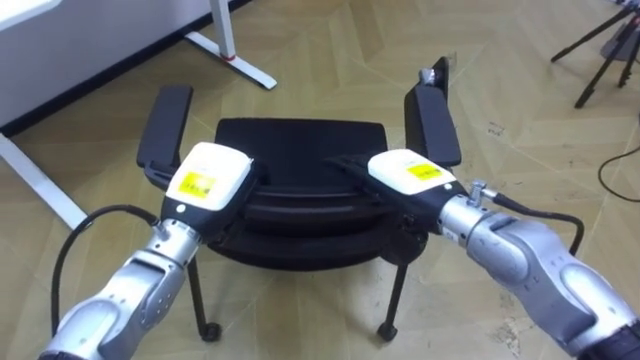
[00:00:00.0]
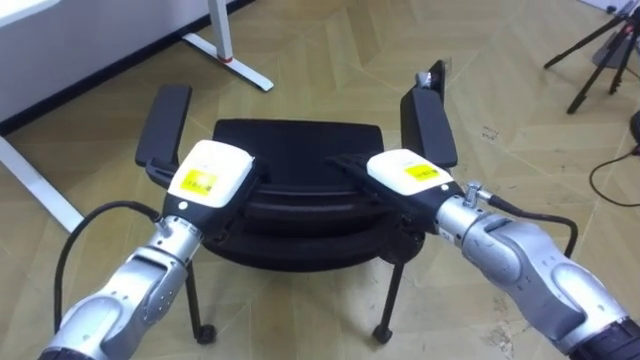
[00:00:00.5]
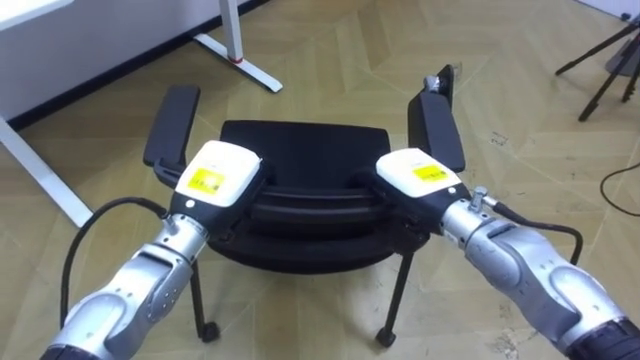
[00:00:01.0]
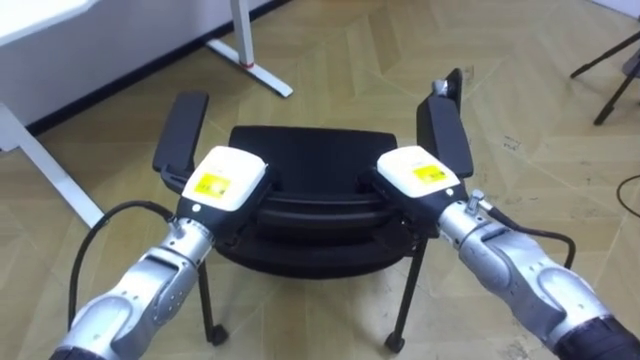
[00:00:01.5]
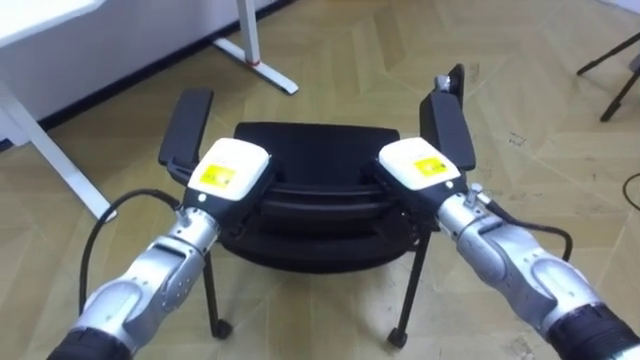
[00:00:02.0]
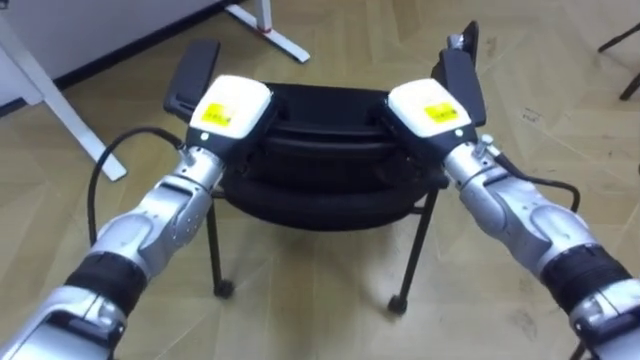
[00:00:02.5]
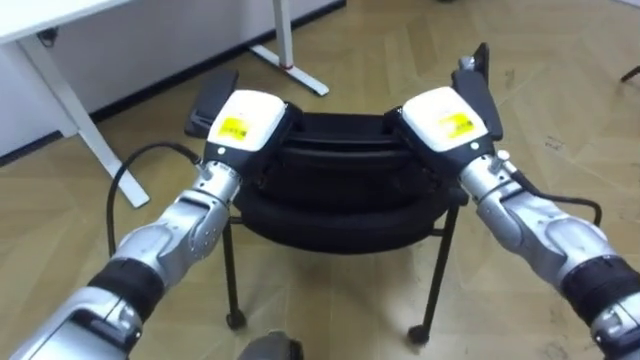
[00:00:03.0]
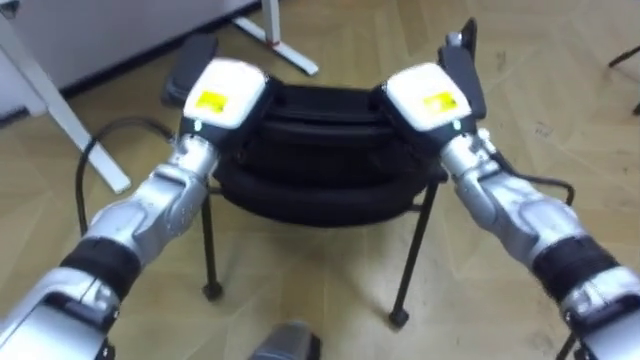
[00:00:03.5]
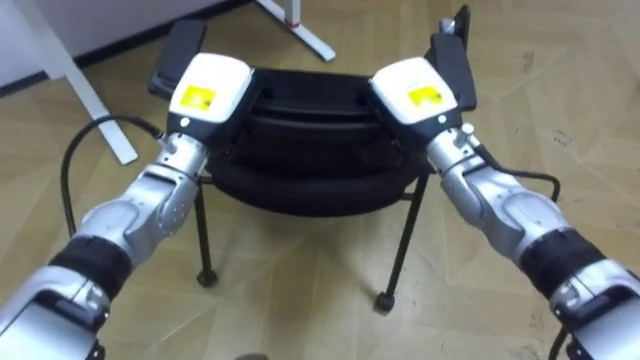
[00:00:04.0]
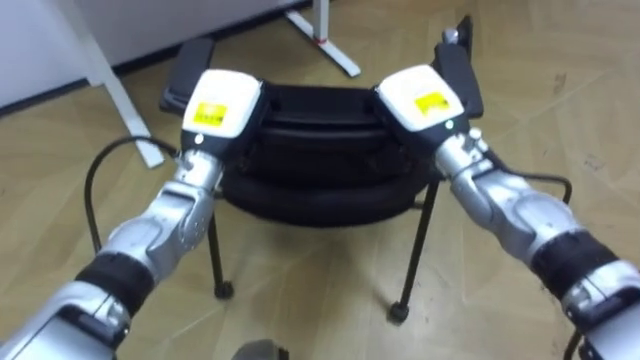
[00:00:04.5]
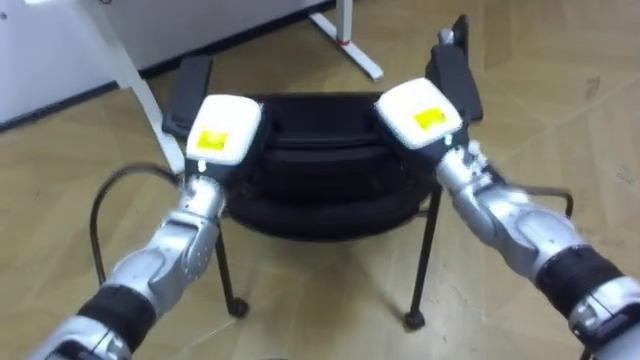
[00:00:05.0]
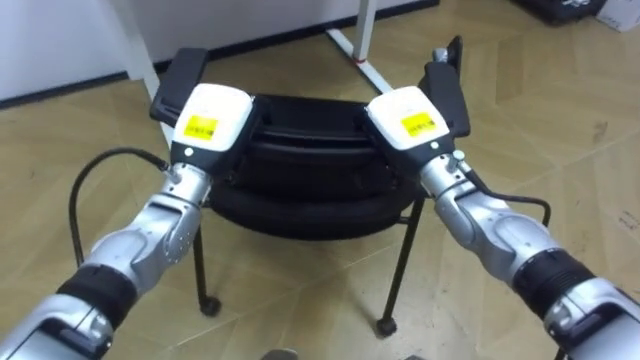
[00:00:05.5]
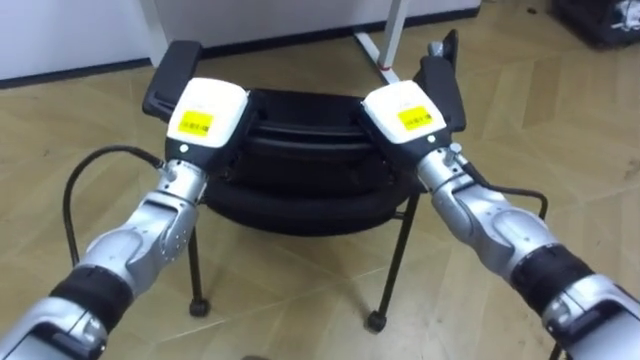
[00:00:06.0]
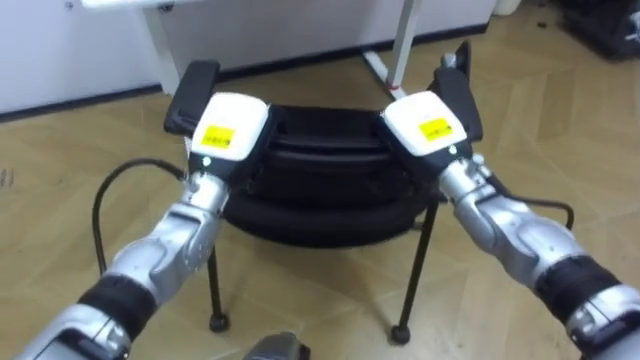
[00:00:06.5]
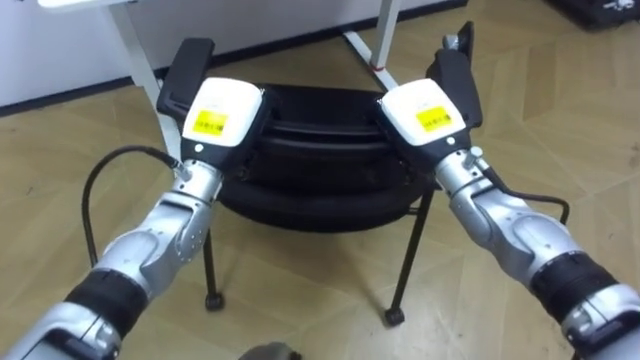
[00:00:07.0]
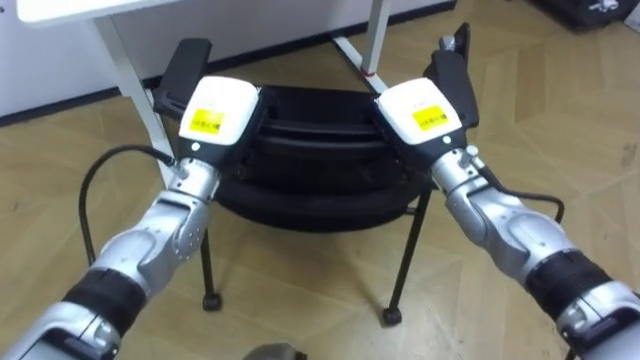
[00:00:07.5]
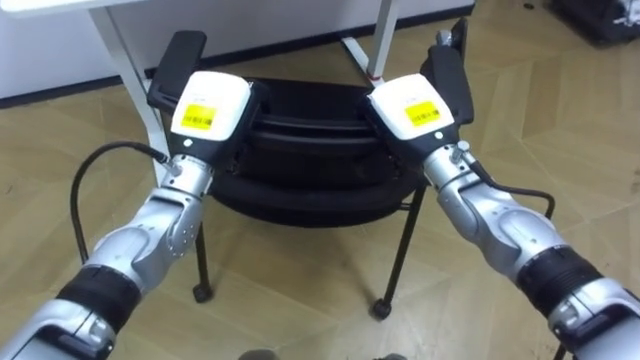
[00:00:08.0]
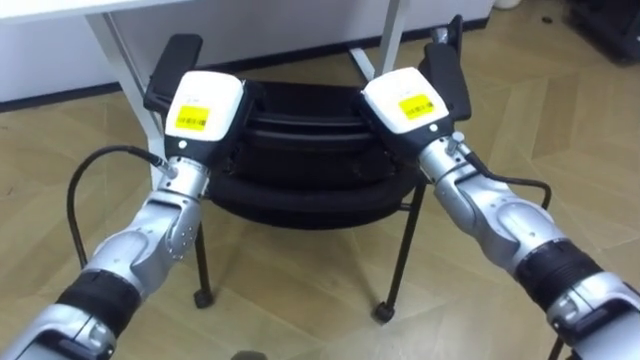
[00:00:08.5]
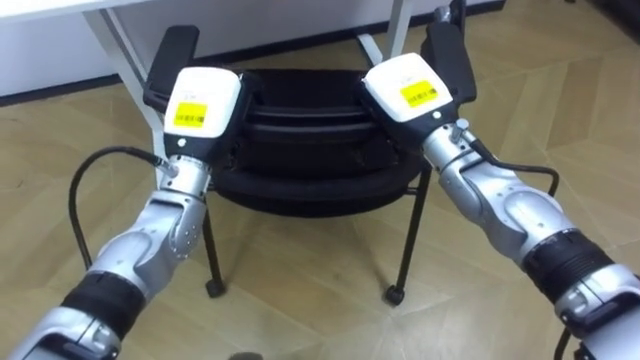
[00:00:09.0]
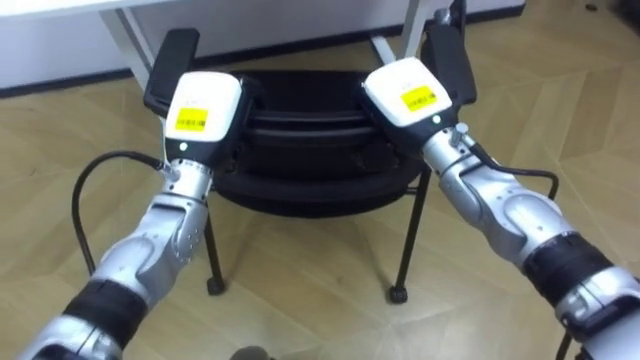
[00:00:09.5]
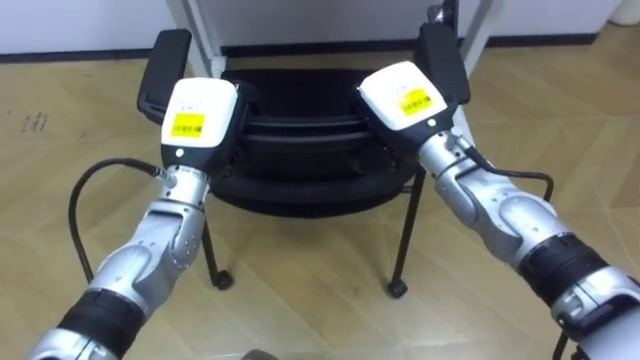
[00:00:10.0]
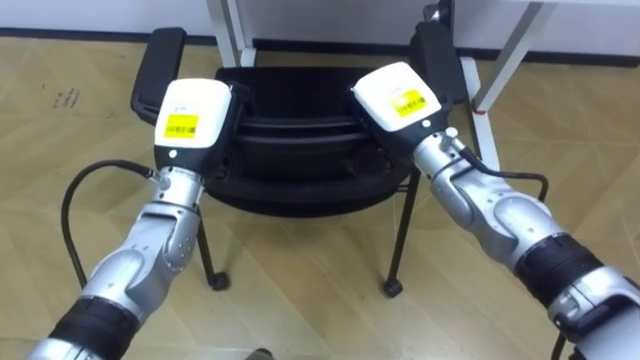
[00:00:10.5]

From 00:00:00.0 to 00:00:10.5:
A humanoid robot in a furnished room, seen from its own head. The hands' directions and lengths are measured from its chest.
Task of the whole recording: Push the chair under the table.
From 00:00:00.0 to 00:00:02.0: The right hand closes up.
From 00:00:02.0 to 00:00:04.0: The hands both shift upward and forward by some 10 cm.
From 00:00:04.0 to 00:00:06.5: The robot rotates approximately 20 degrees to its left.

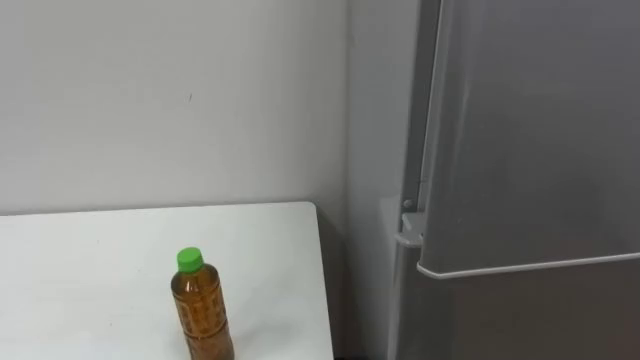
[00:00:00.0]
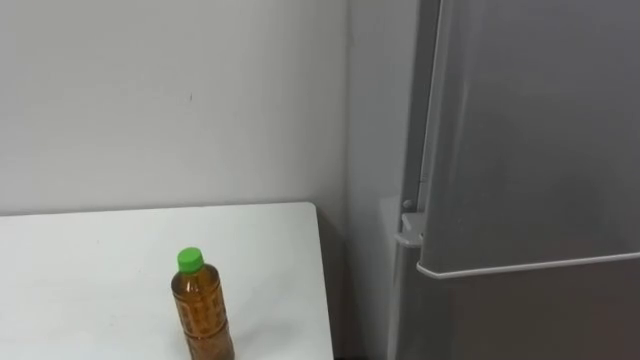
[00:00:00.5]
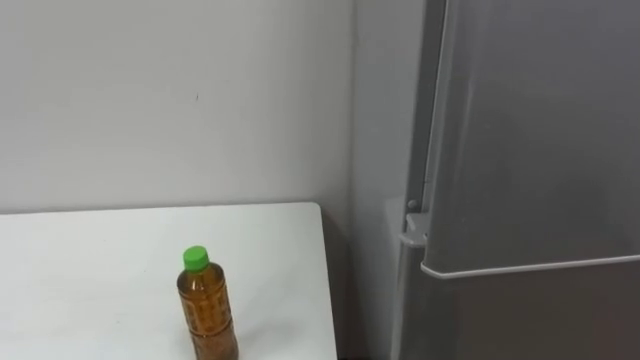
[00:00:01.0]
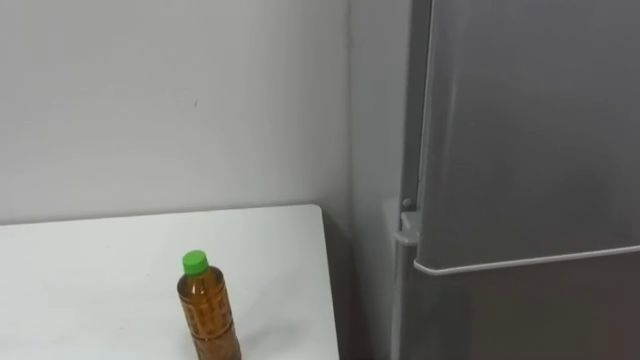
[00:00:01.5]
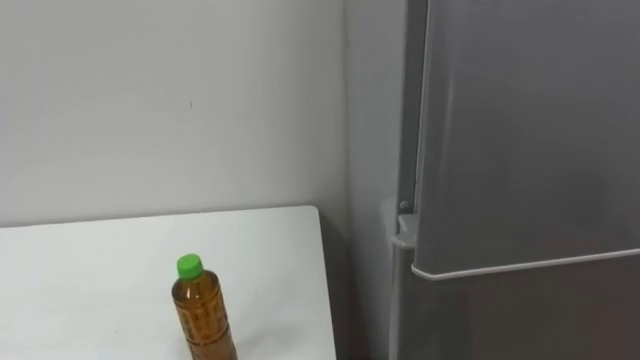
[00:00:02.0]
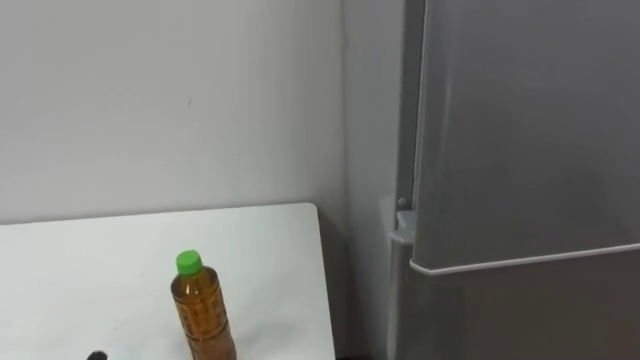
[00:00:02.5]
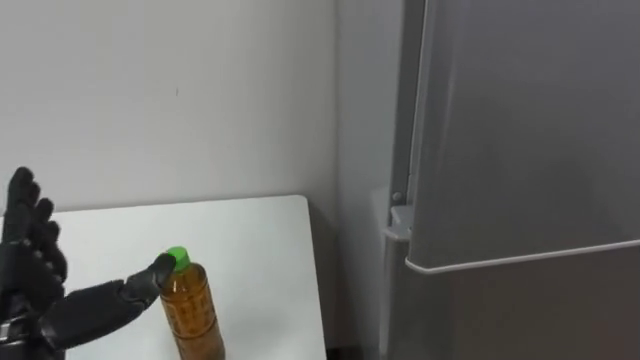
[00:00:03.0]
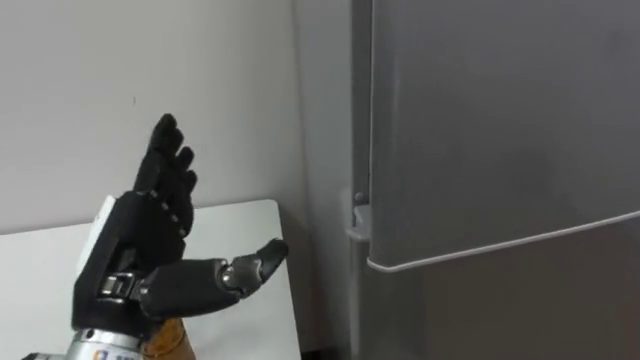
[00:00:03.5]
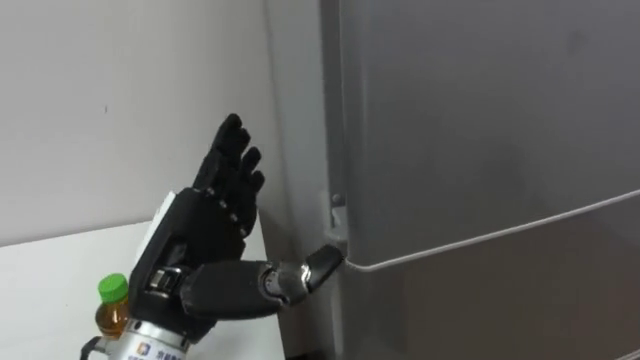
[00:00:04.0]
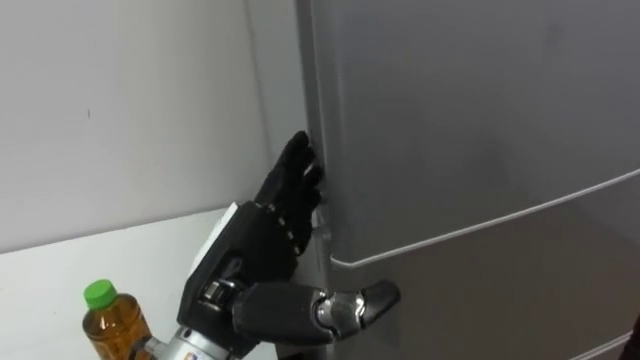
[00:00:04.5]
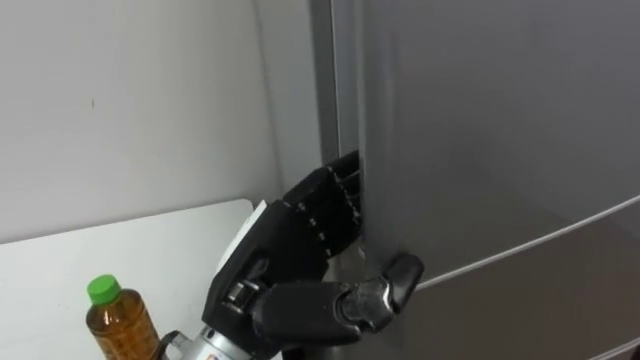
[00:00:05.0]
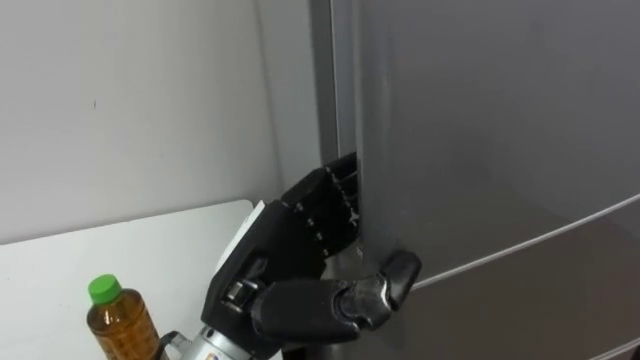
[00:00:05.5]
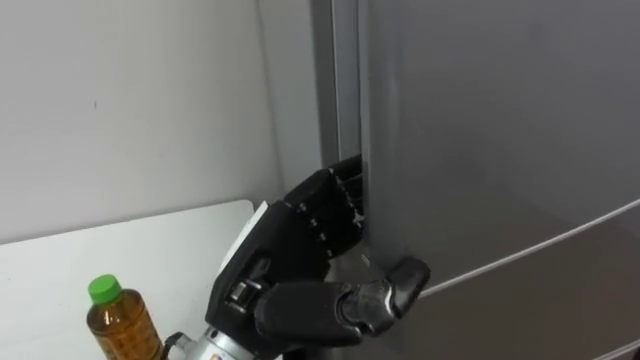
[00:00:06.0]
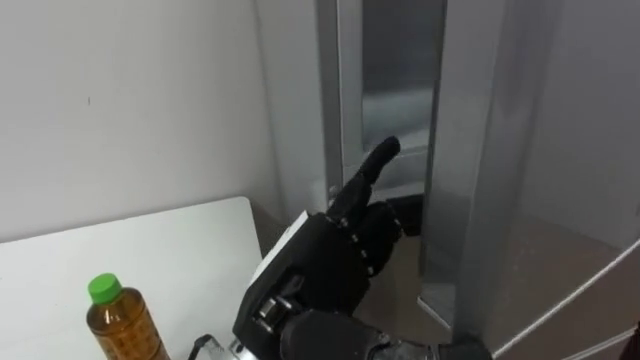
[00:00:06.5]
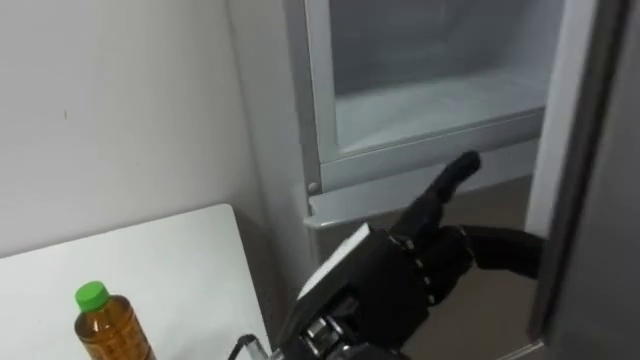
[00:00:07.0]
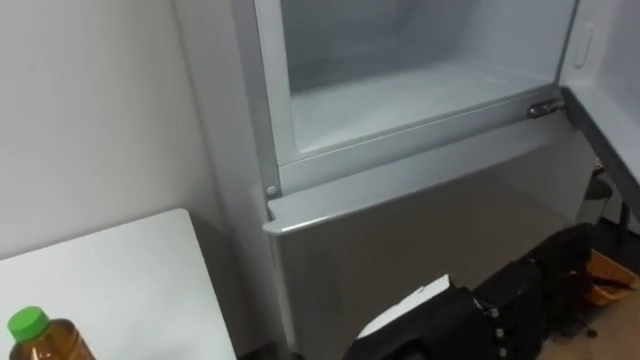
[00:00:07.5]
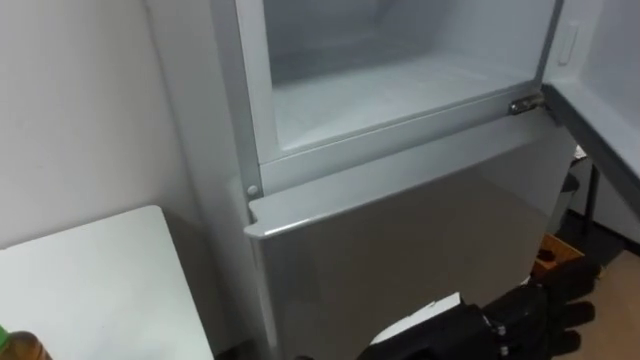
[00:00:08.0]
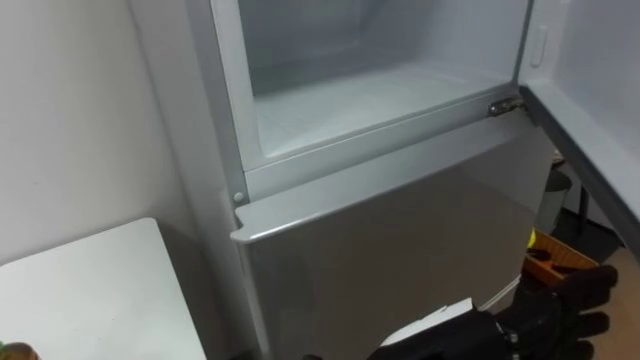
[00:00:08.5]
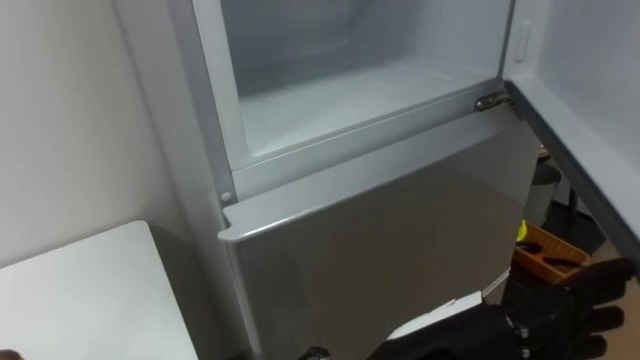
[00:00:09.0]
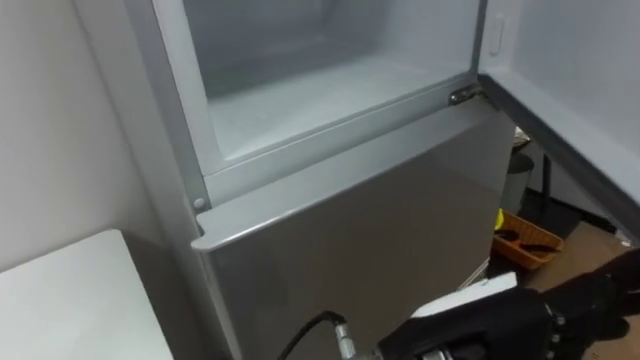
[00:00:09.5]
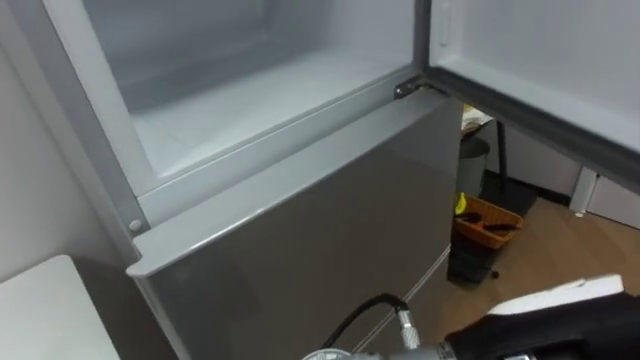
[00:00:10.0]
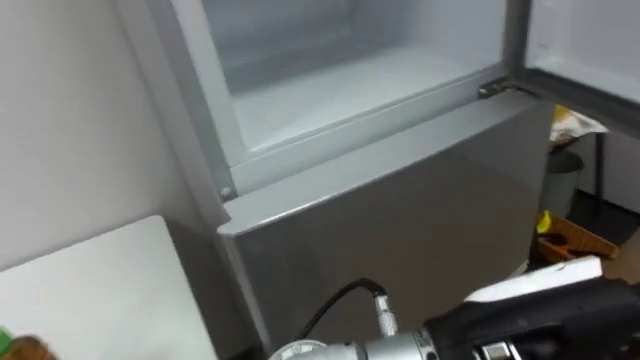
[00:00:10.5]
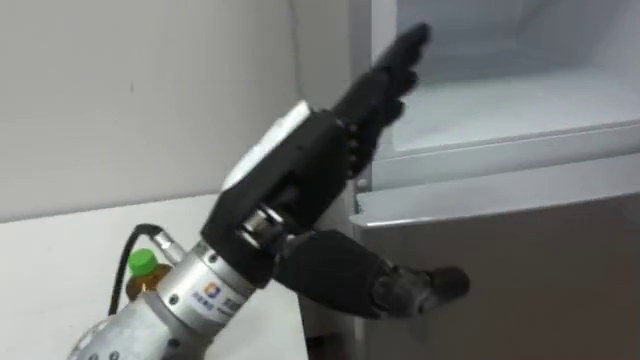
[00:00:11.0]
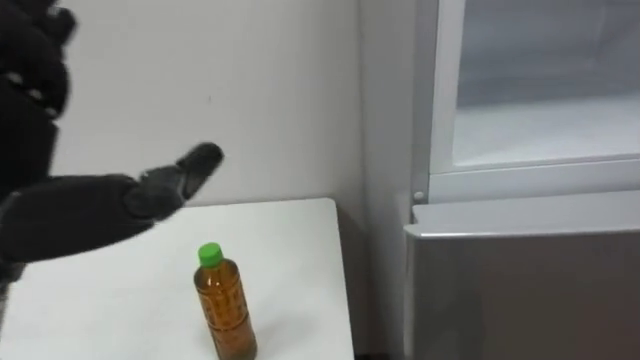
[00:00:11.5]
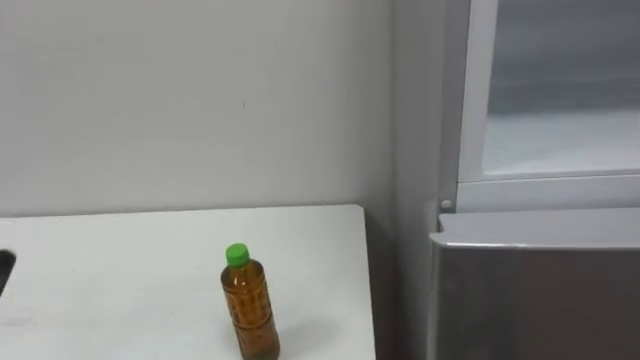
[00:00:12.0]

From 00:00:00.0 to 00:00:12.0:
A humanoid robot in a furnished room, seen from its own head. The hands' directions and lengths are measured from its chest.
Task of the whole recording: Open the upper refrigerator door, put the drink from the table into the refrigerator, and then close the refrigerator door.
From 00:00:04.0 to 00:00:06.0: The left hand heads to the right, covering approximately 10 cm, and closes.
From 00:00:06.0 to 00:00:08.0: The left hand is displaced to the right and backward by about 15 cm, and opens up.
From 00:00:08.0 to 00:00:10.0: The left hand shifts roughly 5 cm to the right.
